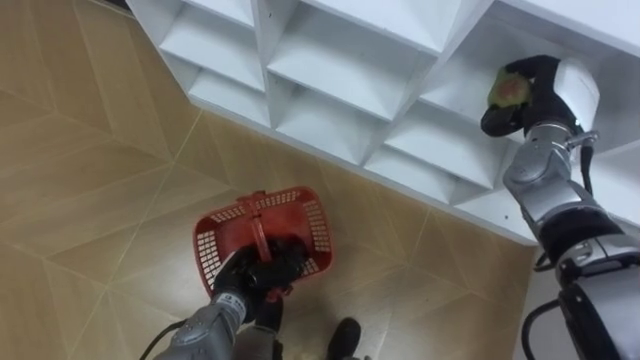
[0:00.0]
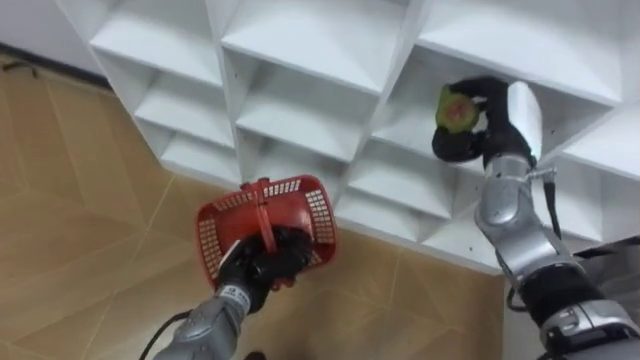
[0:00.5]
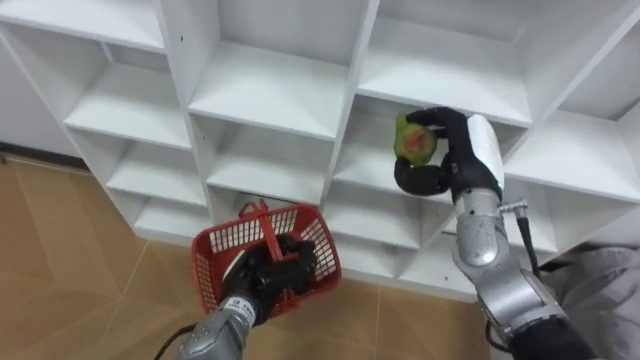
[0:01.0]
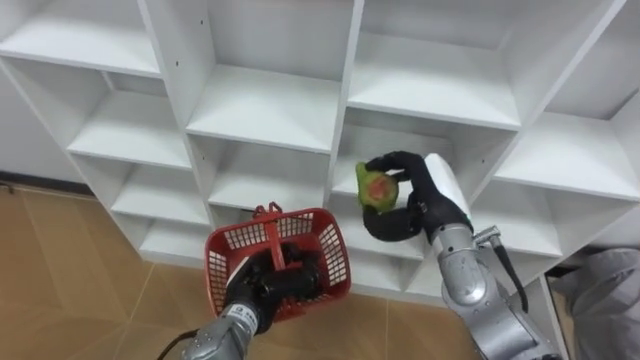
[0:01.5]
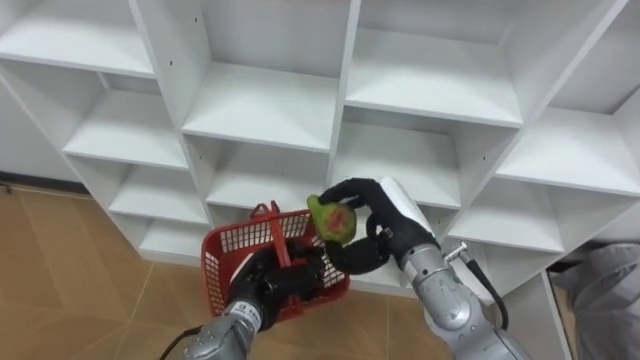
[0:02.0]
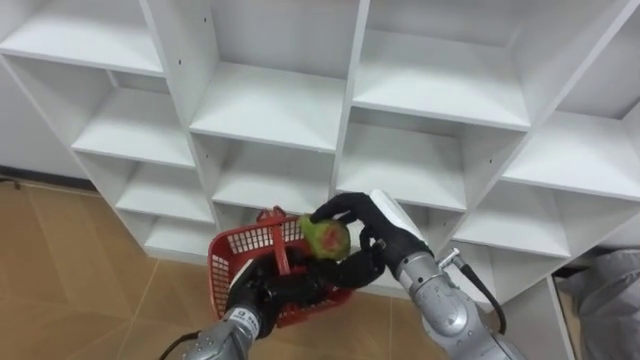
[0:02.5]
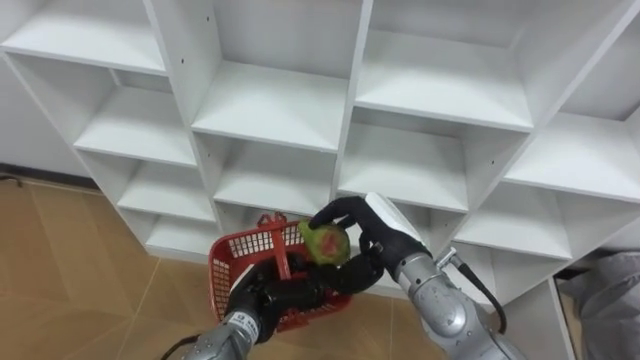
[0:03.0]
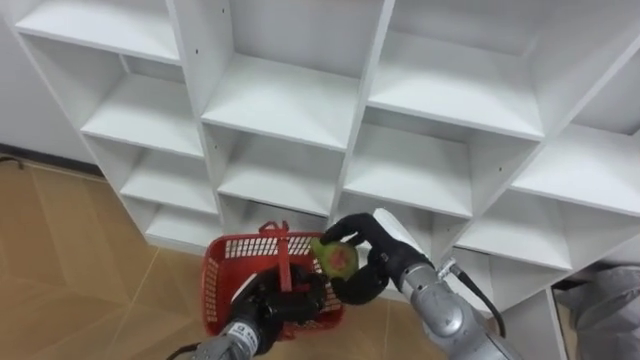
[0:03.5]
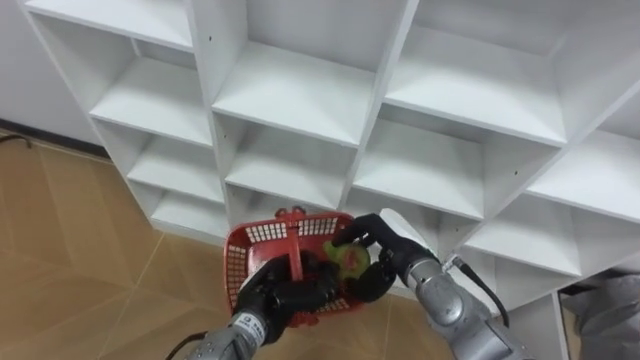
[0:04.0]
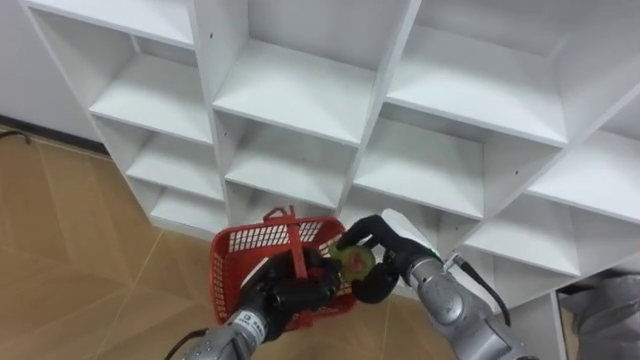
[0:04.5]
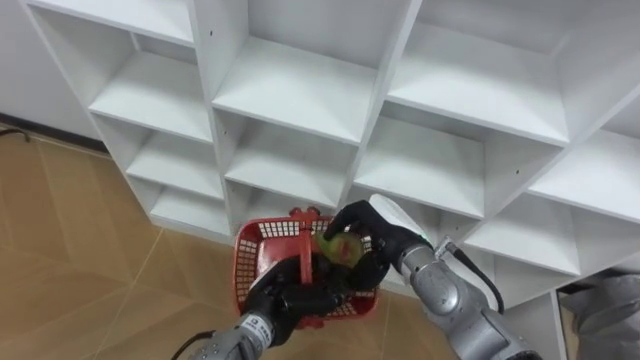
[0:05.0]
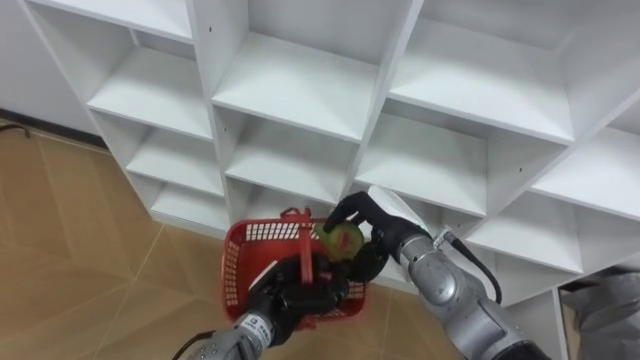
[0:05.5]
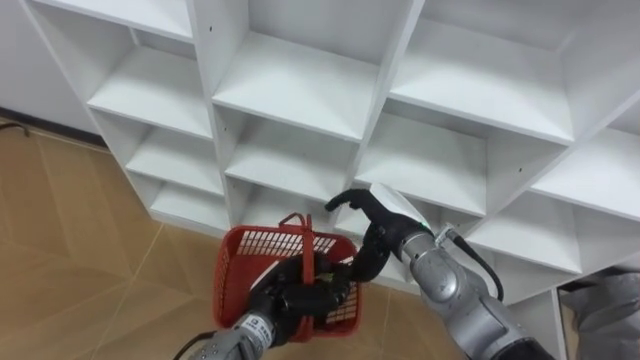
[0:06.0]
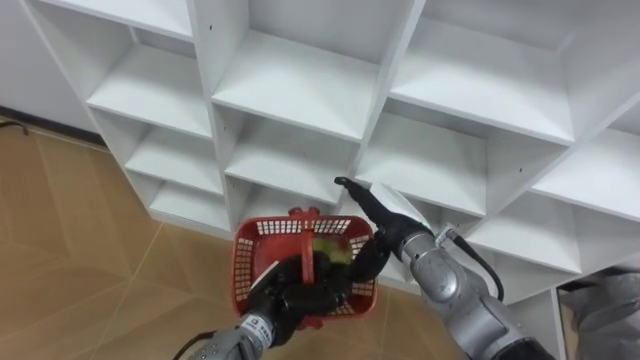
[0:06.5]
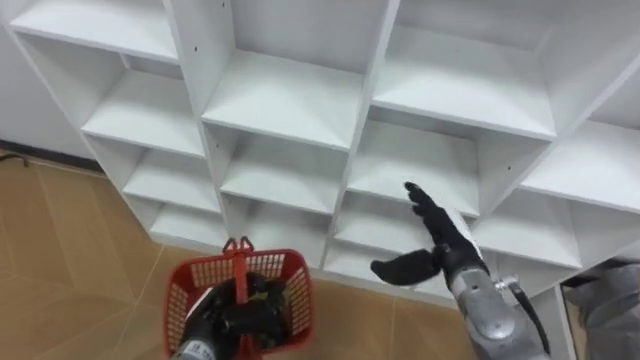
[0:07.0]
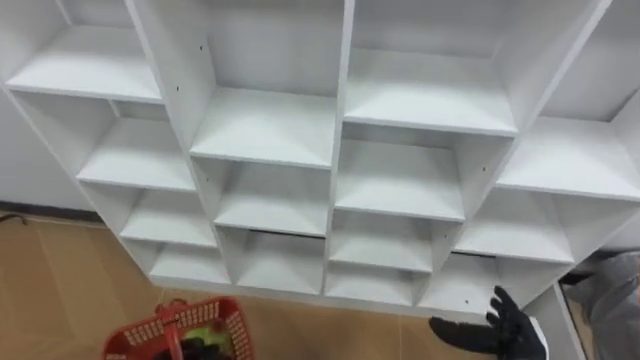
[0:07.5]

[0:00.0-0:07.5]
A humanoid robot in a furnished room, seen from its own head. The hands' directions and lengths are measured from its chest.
Task of the whole recording: Hold the basket and collect the fruits from 3 different cells of the closet into it.
0:00.0 to 0:02.0: The right hand shifts some 25 cm to the left, backward and downward.
0:02.0 to 0:04.0: The right hand moves downward, approximately 5 cm.
0:04.0 to 0:05.5: There are only small adjustments of the hands.
0:05.5 to 0:07.5: The right hand travels to the right, backward and downward by about 25 cm, and opens.

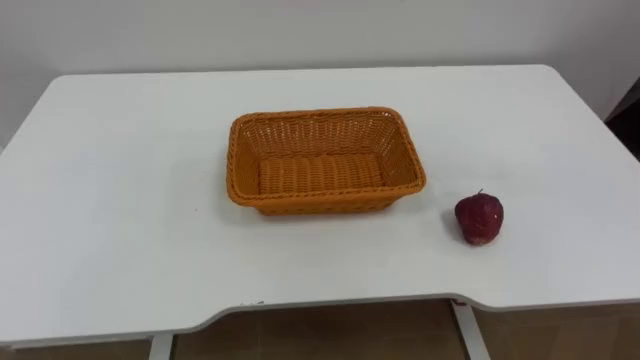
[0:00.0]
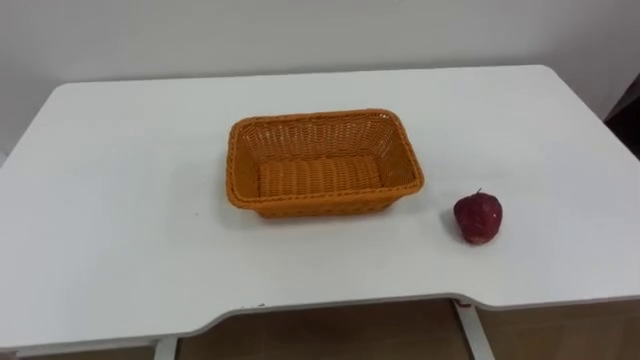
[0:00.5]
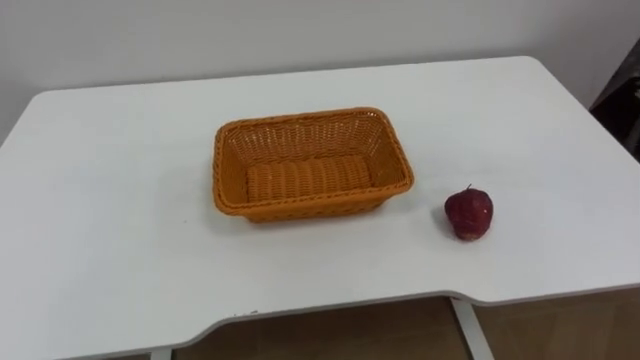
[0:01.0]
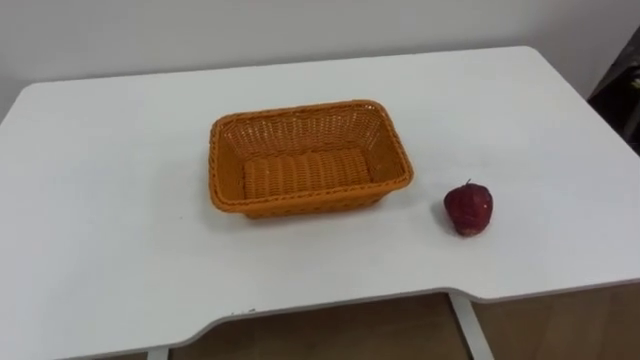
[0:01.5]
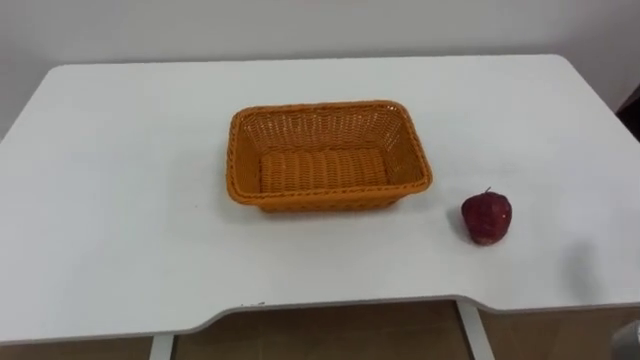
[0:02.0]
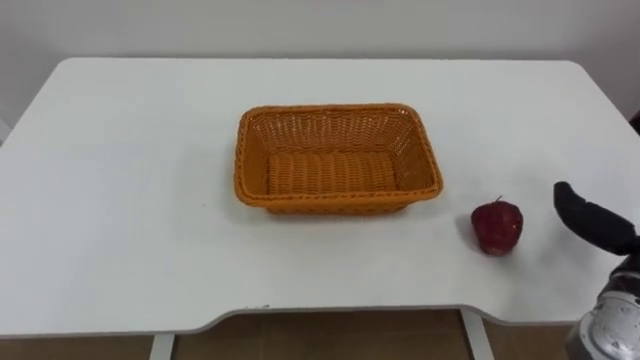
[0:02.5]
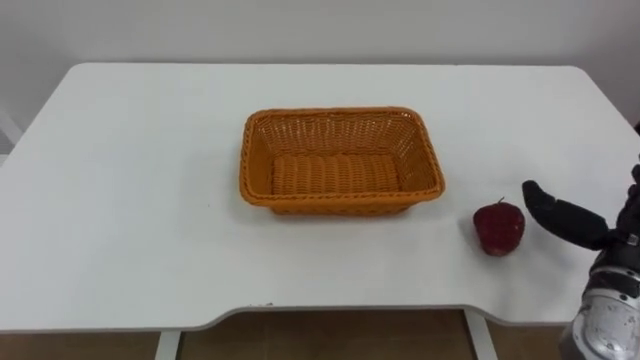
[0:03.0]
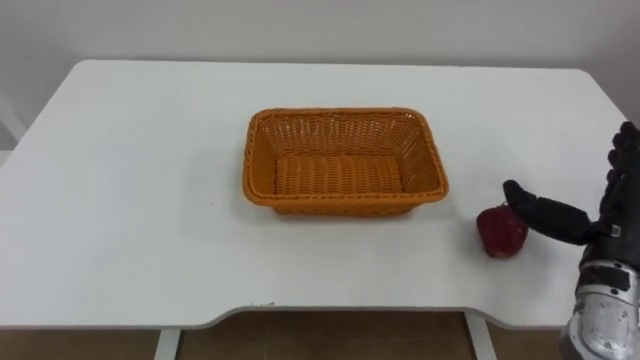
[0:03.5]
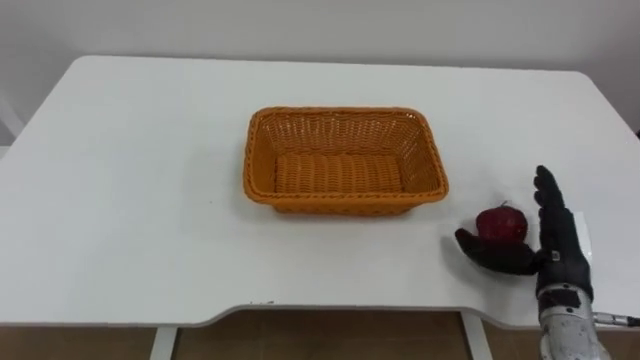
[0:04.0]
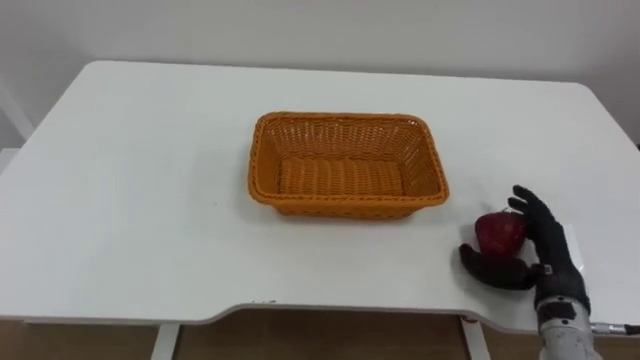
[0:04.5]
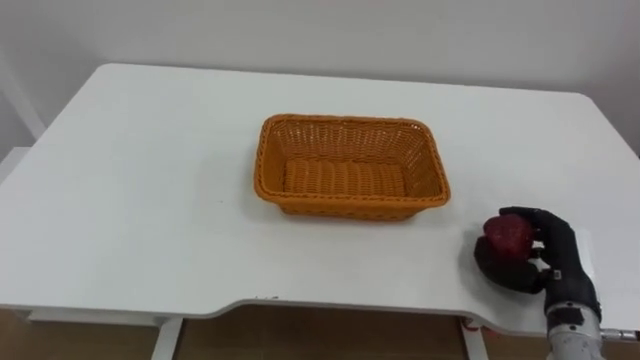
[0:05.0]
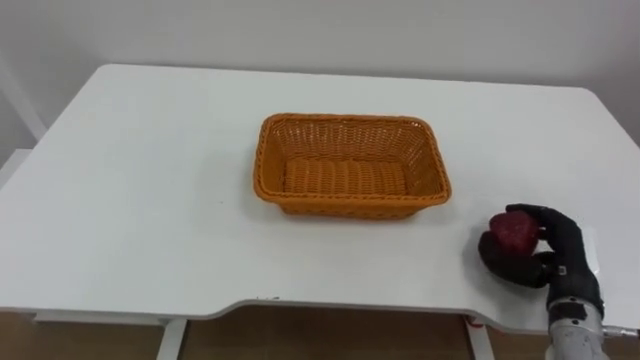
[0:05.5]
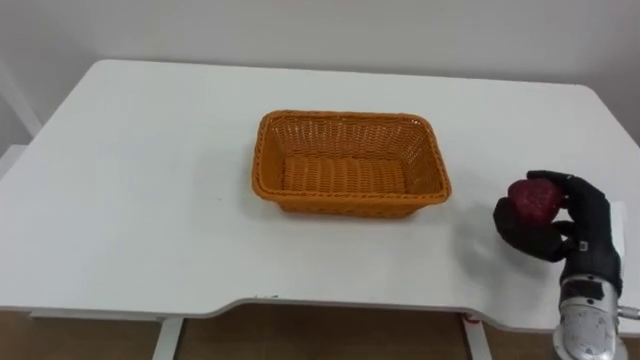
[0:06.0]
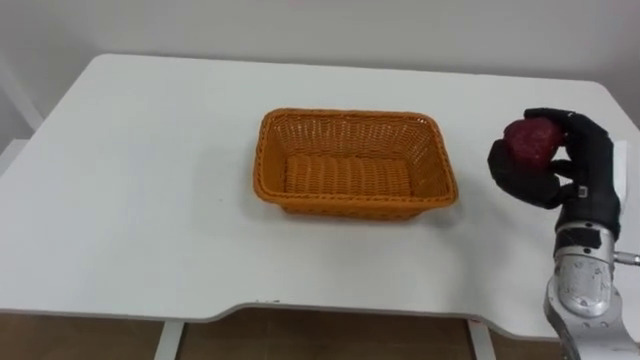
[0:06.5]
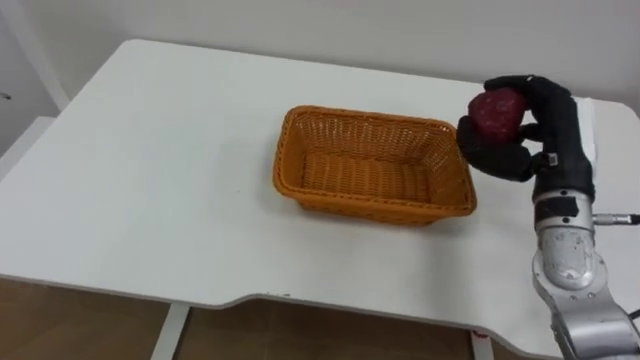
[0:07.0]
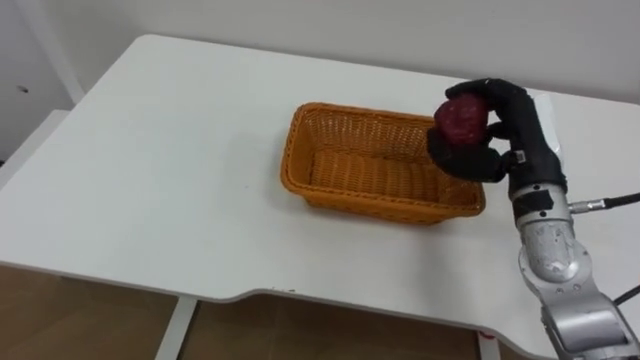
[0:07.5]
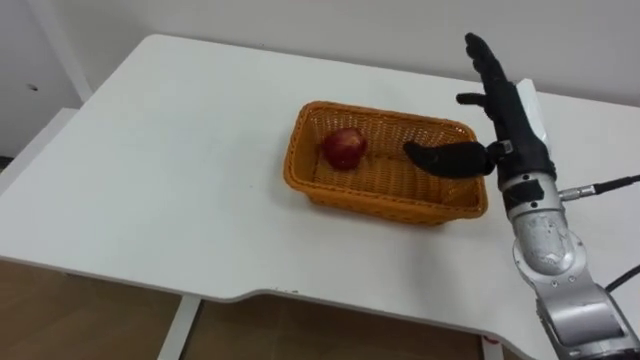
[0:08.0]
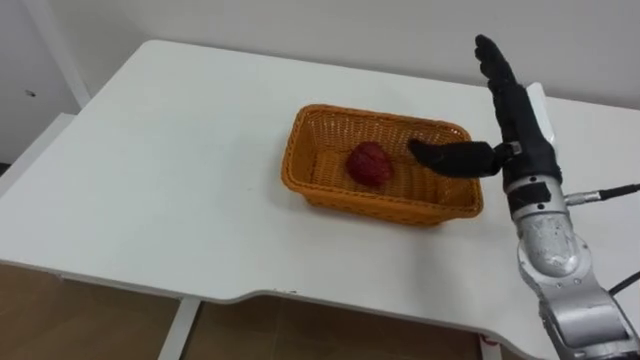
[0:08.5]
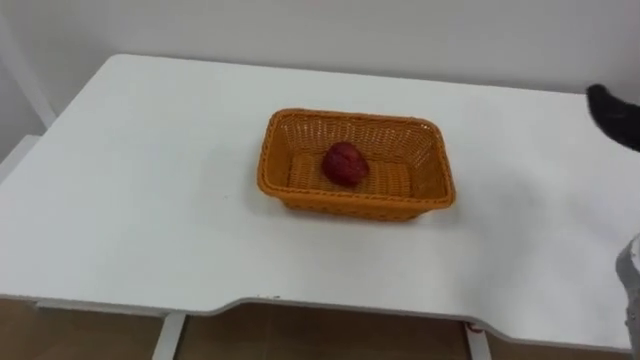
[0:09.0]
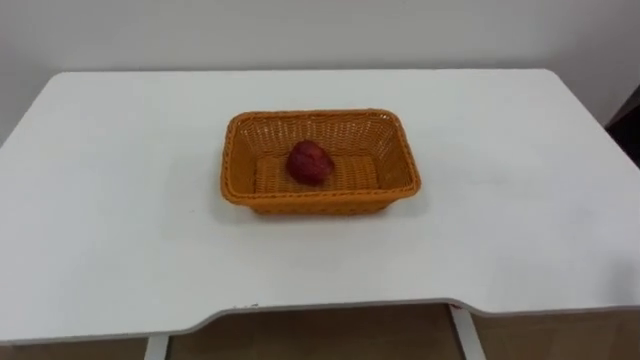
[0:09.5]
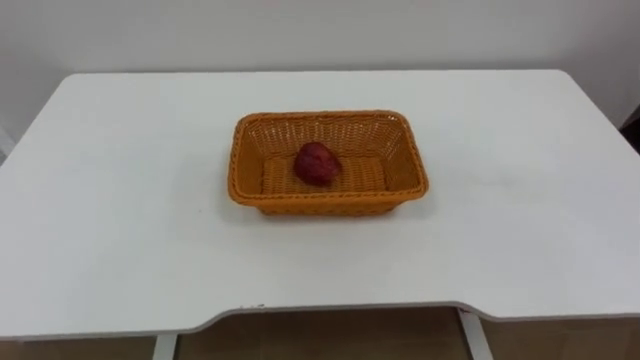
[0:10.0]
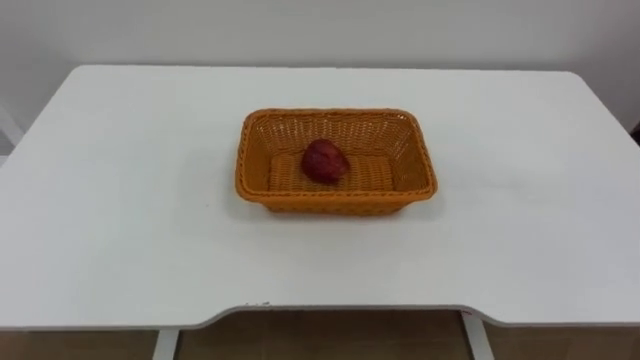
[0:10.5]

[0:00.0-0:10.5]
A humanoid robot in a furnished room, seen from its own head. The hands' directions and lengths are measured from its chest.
Task of the whole recording: Pick the apple and place it in the box.
0:04.0 to 0:06.5: The right hand is displaced upward by roughly 10 cm, and closes its fingers.
0:06.5 to 0:08.5: The right hand shifts about 10 cm to the left, and opens.

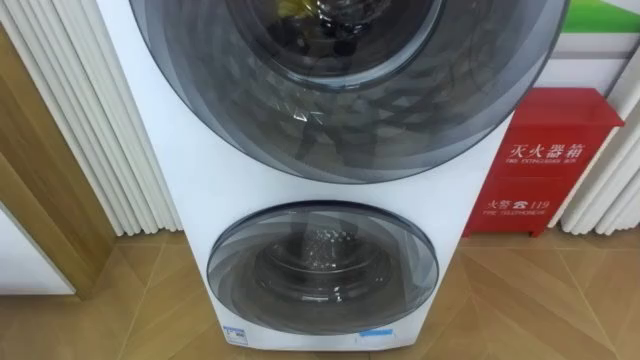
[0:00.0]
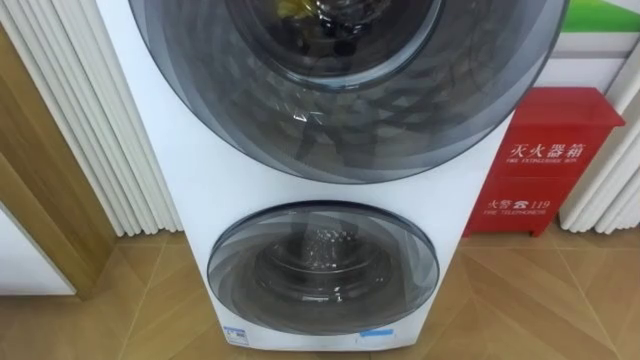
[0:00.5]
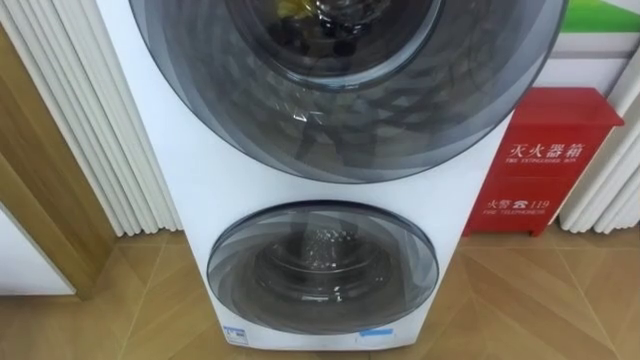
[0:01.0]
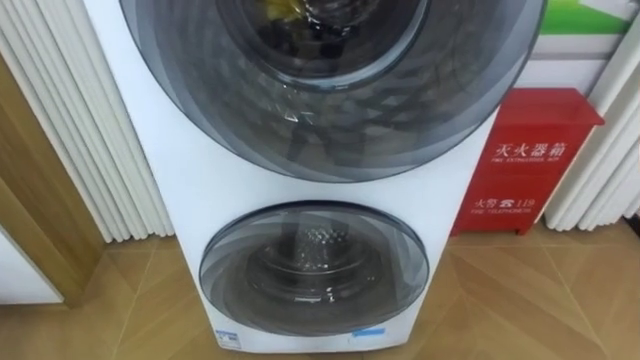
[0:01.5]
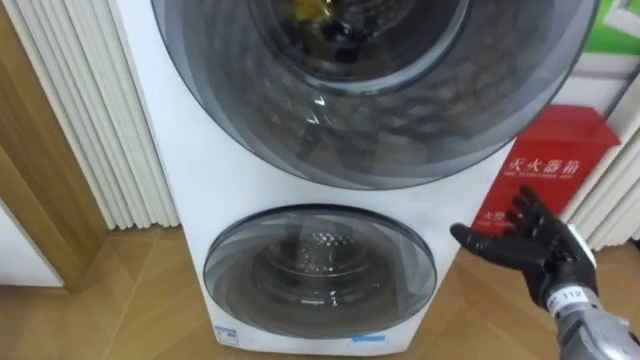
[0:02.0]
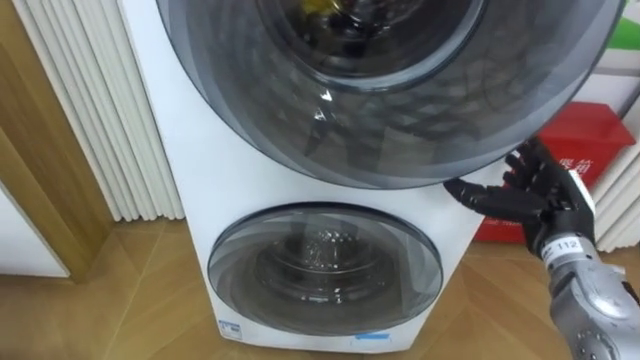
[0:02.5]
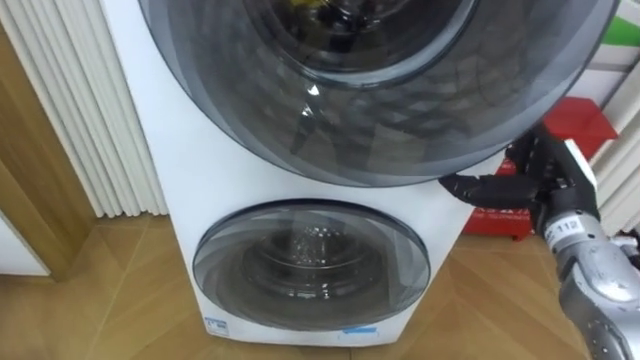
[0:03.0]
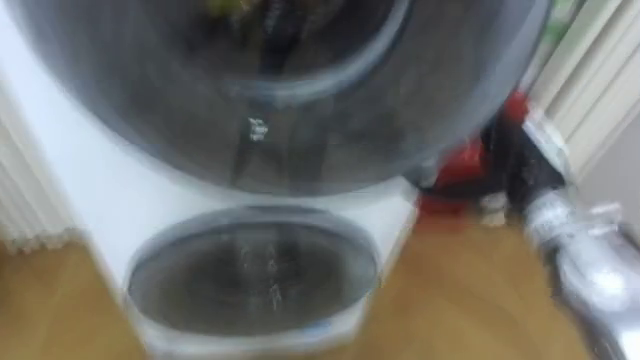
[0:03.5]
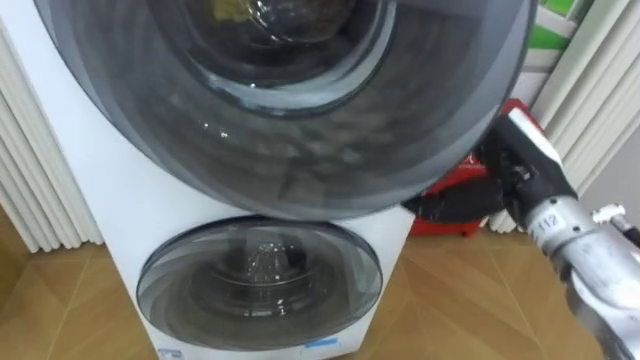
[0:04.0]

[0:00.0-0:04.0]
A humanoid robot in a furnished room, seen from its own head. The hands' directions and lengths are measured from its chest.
Task of the whole recording: Open the washing machine door, take out the yellow clothes, place them in the box on the right, and close the washing machine door.
0:02.0 to 0:04.0: The right hand shifts roughly 15 cm upward and to the left.
